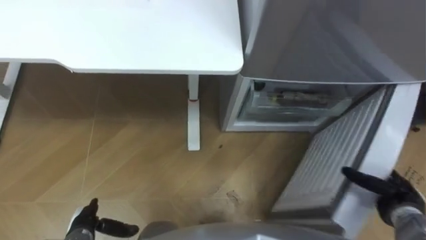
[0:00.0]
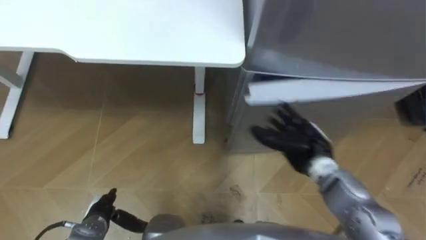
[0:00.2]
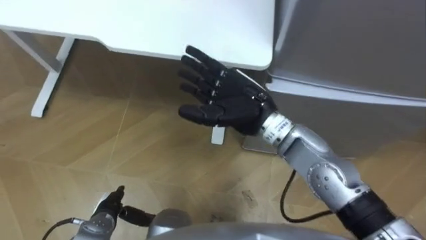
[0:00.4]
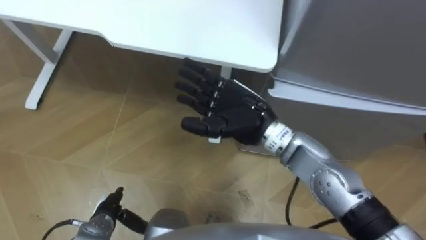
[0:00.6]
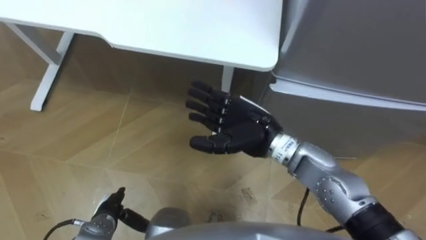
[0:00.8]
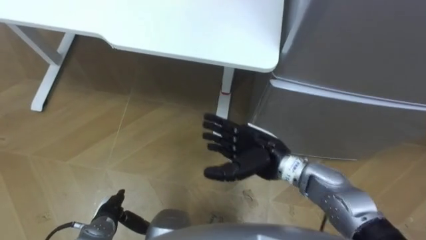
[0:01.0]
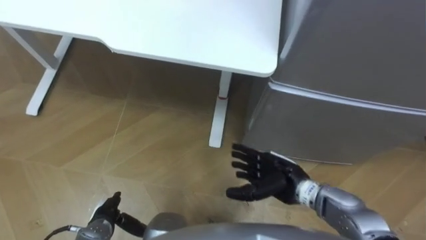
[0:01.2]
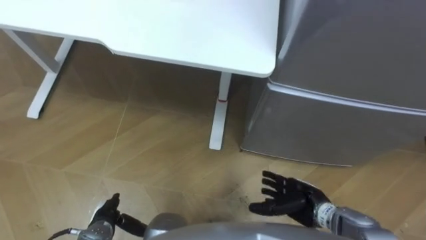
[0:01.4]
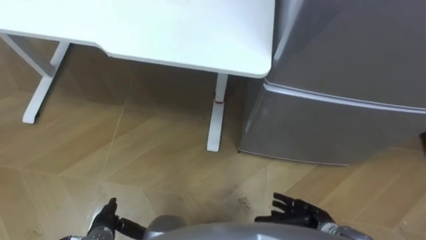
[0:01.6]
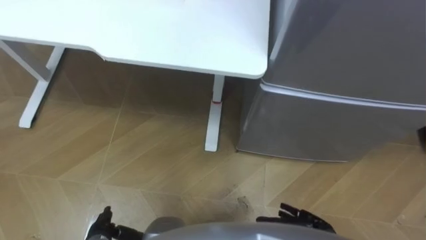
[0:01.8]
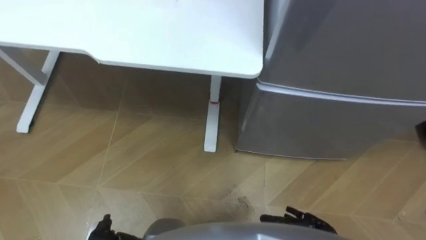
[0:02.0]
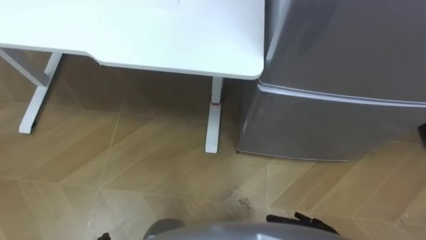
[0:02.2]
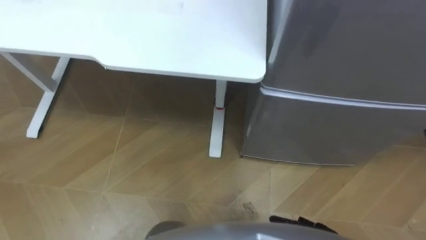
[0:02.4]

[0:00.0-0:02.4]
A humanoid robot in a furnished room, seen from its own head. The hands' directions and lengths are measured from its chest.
Task of the whole recording: Place the drink on the table on the bottom shelf of the refrigerator, then close the drawer and the refrigerator door.
0:00.0 to 0:01.2: The left hand changes place by roughly 5 cm; the right hand moves to the left, approximately 25 cm.

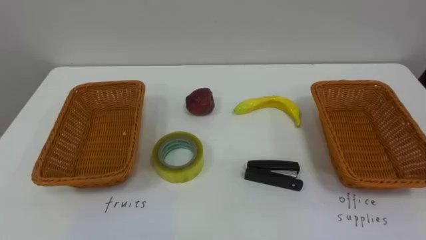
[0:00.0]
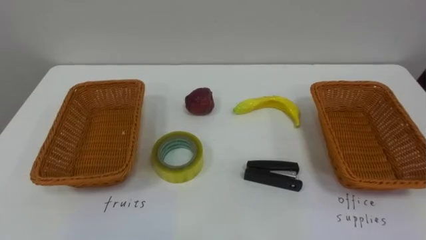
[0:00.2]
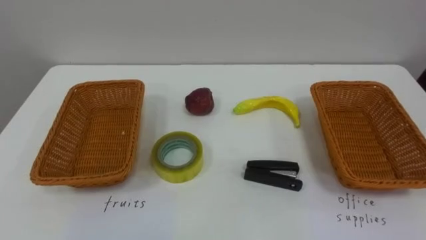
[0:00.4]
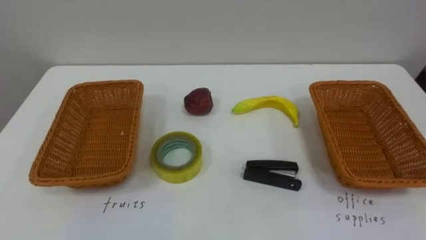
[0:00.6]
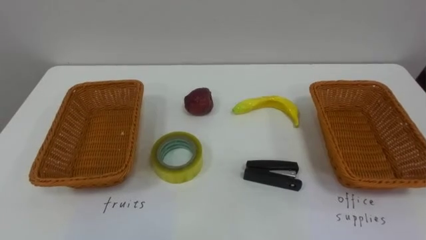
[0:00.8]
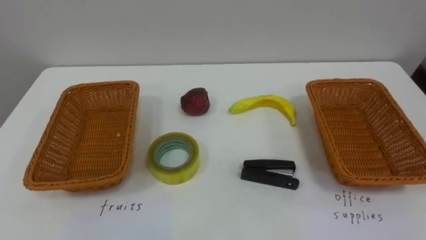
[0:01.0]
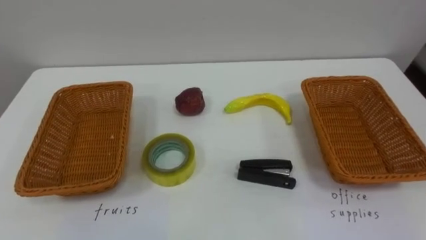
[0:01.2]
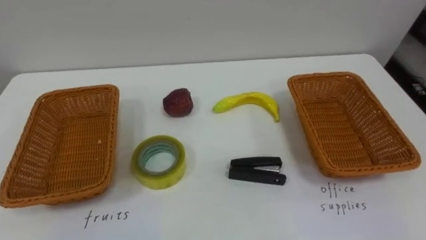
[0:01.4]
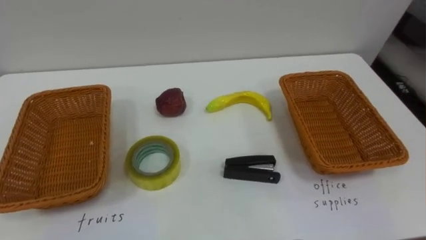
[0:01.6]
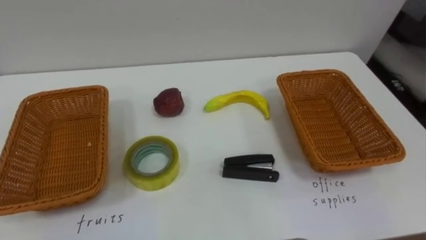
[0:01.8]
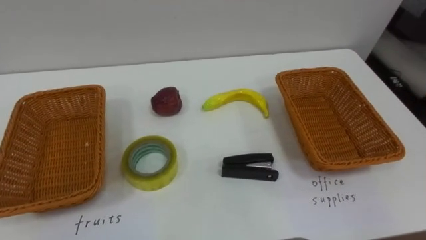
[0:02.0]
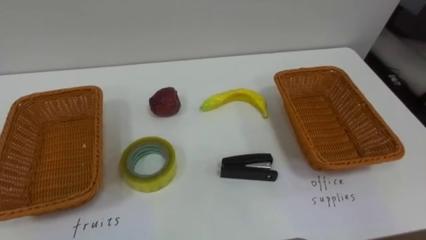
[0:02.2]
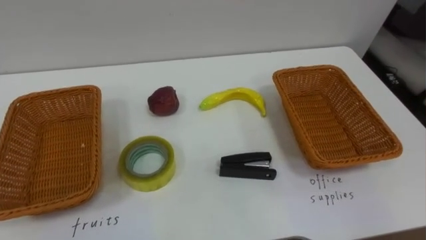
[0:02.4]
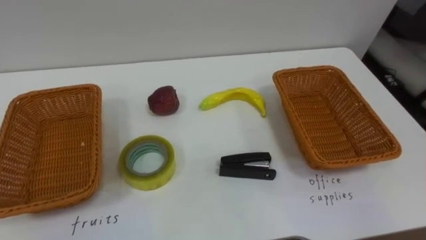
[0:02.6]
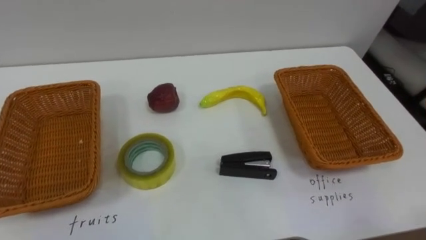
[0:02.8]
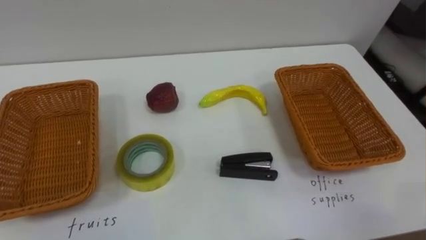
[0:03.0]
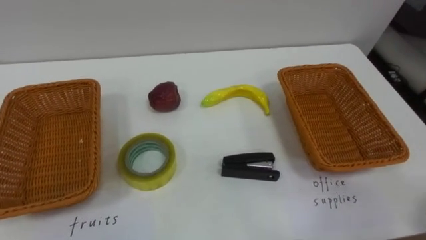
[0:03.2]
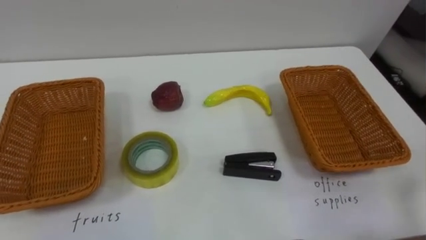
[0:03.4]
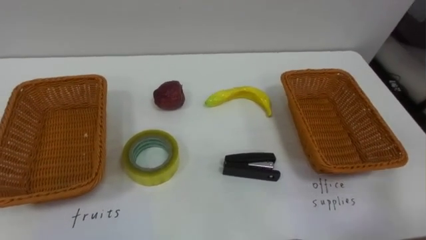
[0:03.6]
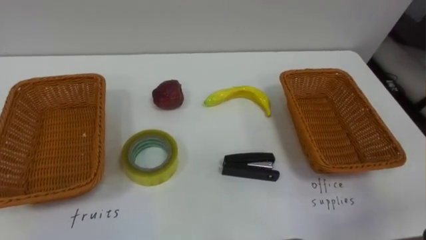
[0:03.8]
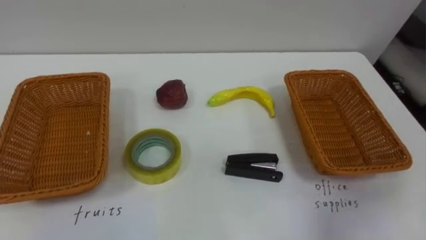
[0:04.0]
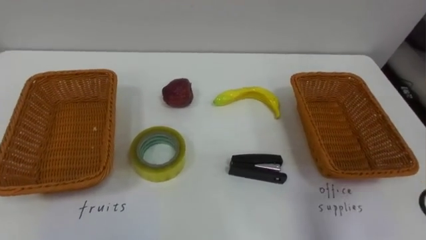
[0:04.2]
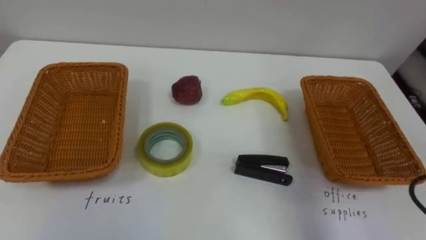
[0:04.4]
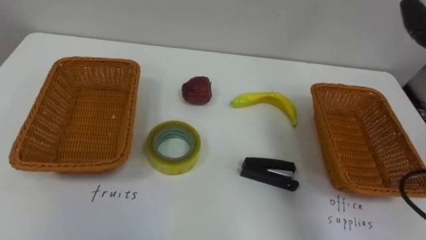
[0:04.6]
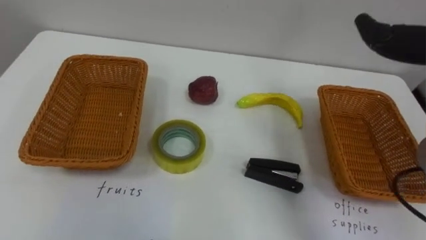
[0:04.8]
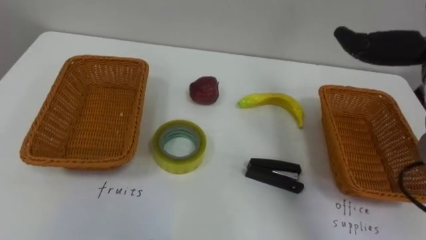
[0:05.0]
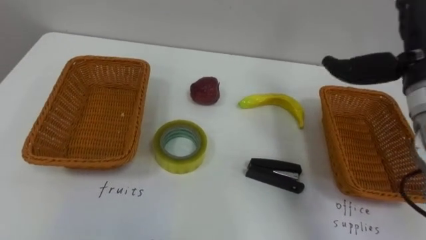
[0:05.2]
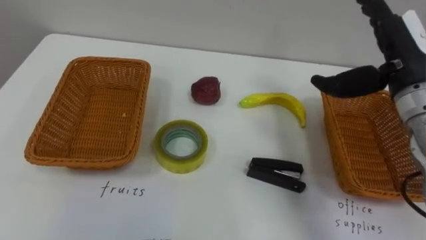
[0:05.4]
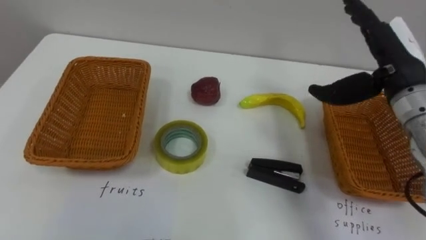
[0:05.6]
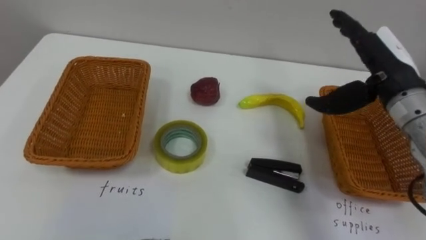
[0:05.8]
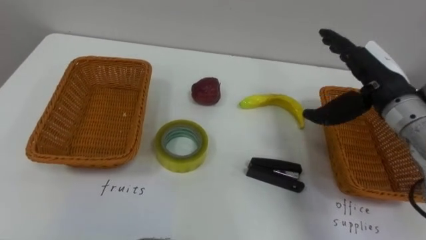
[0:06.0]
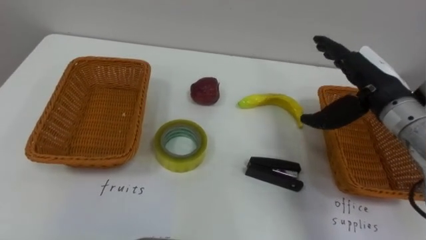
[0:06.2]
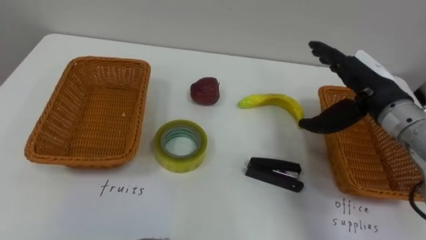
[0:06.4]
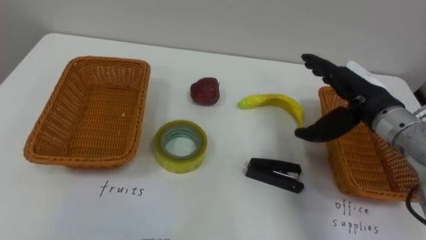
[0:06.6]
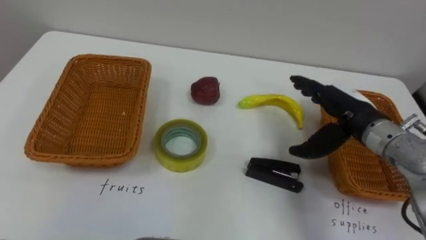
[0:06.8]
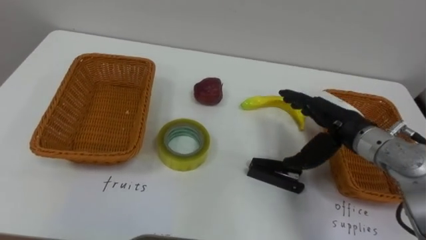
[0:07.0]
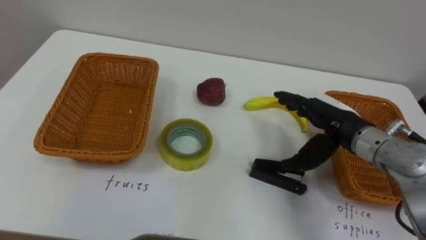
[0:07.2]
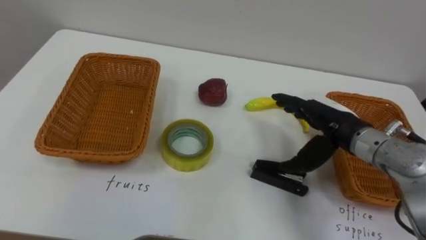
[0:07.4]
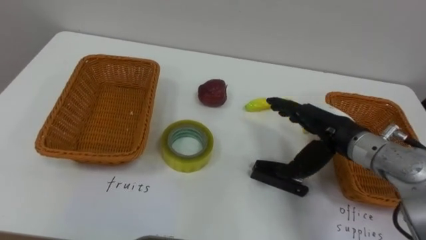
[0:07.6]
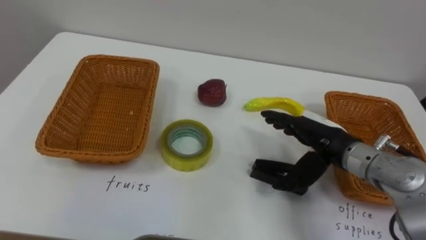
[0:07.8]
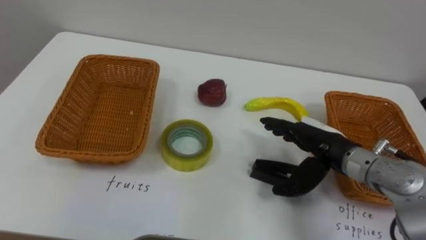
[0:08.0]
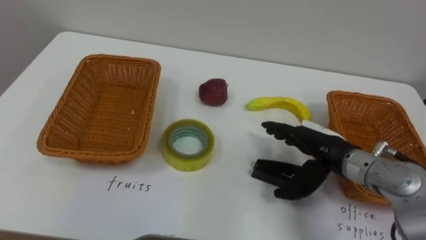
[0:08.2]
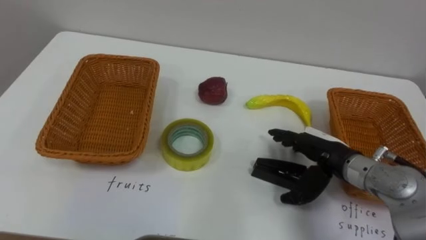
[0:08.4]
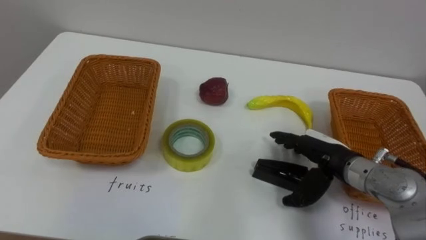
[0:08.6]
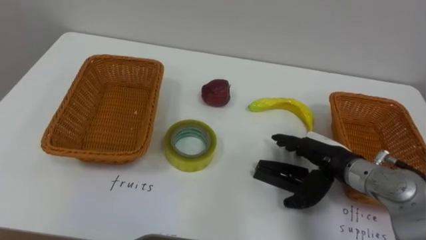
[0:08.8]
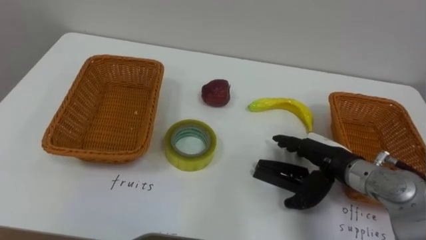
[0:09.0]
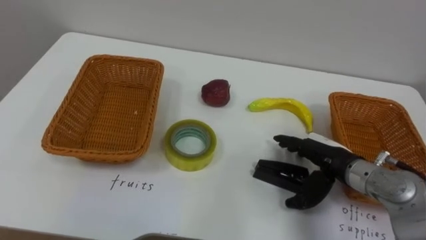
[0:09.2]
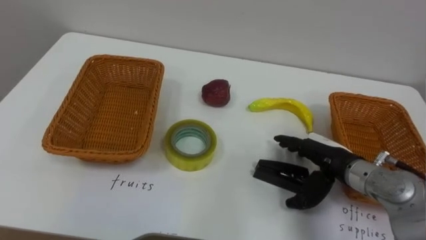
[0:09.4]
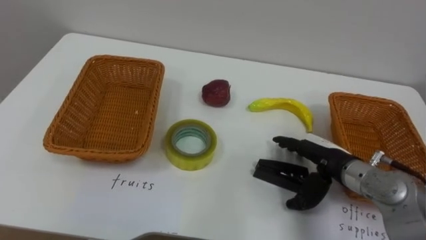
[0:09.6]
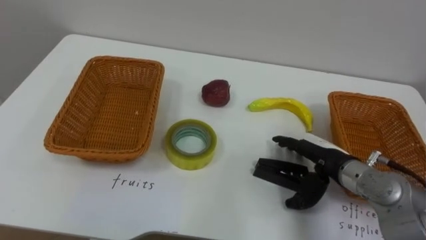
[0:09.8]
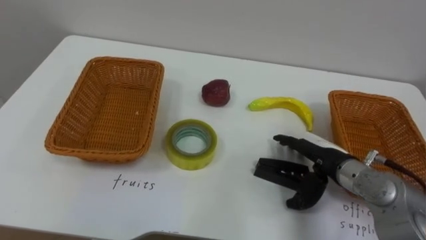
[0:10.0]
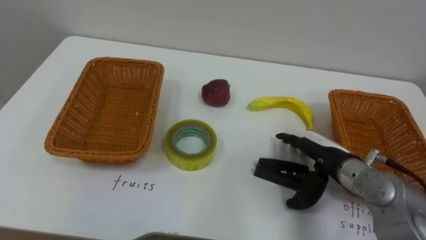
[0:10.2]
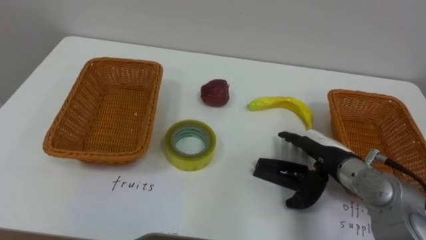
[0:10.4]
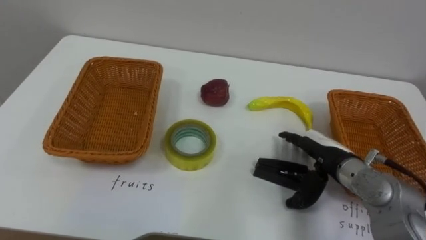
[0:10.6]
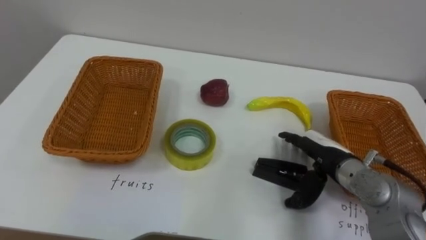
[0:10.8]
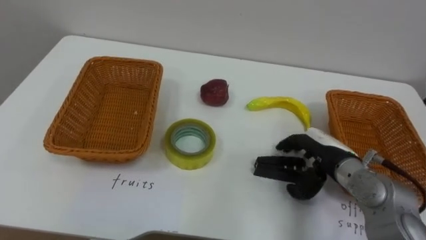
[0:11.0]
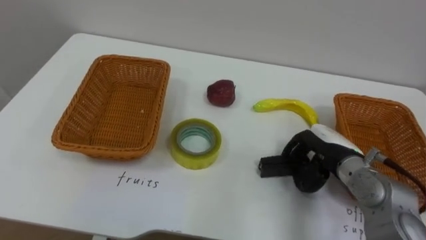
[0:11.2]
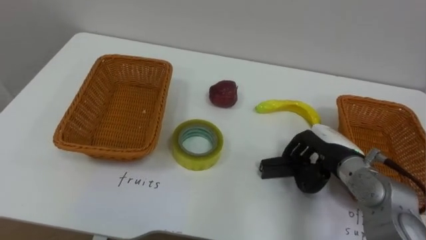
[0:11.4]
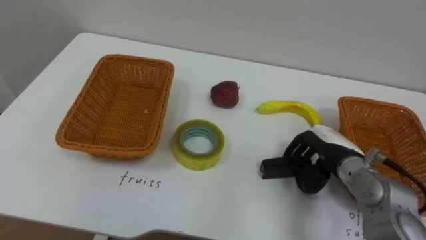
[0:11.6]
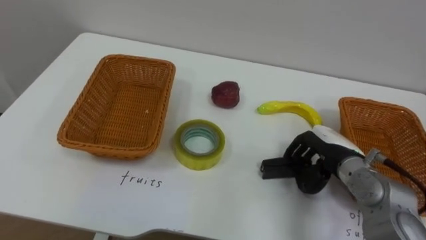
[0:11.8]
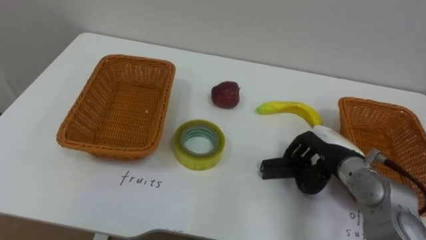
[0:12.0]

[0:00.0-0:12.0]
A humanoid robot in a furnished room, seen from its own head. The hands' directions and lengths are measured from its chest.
Task of the whole recording: Separate the items on the table and place them into the two baskets.
0:06.0 to 0:07.6: The right hand shifts roughly 10 cm downward and to the left.
0:07.6 to 0:09.0: The right hand shifts approximately 5 cm downward.
0:10.4 to 0:12.0: The right hand closes its fingers.

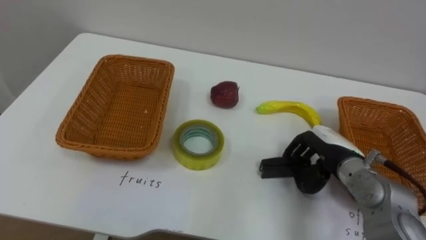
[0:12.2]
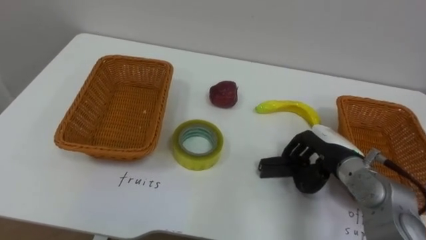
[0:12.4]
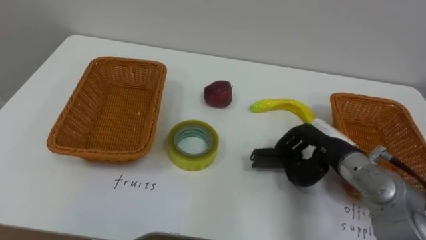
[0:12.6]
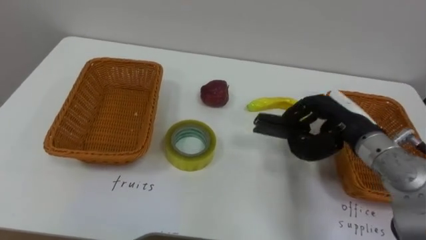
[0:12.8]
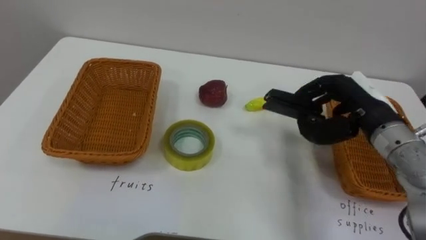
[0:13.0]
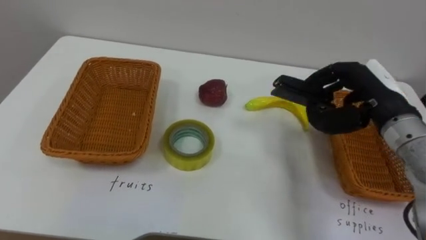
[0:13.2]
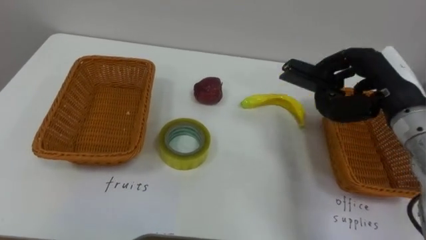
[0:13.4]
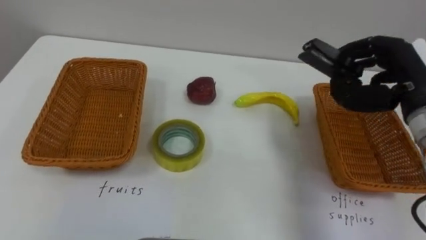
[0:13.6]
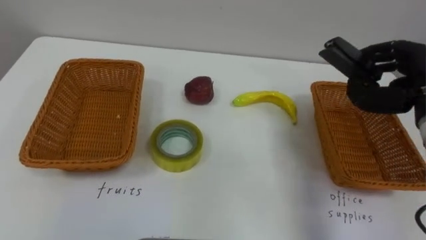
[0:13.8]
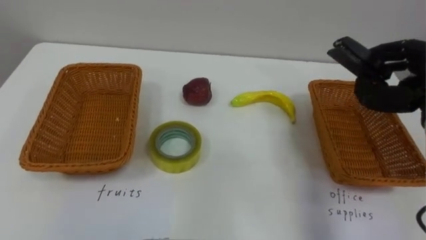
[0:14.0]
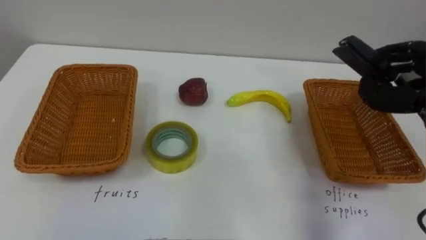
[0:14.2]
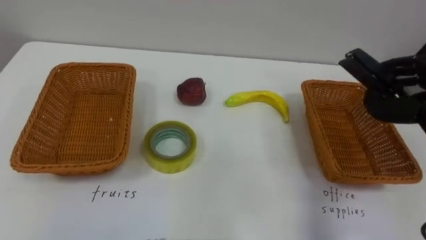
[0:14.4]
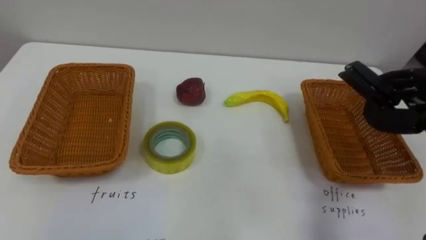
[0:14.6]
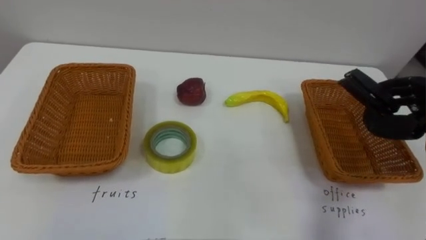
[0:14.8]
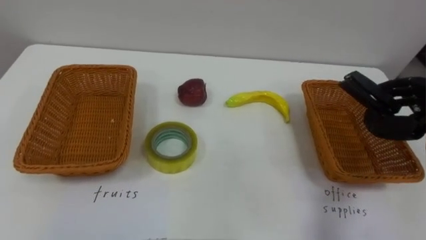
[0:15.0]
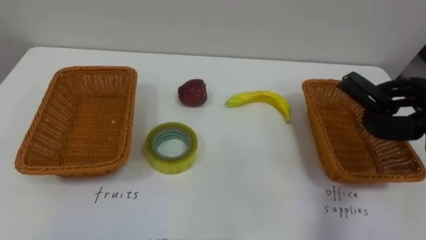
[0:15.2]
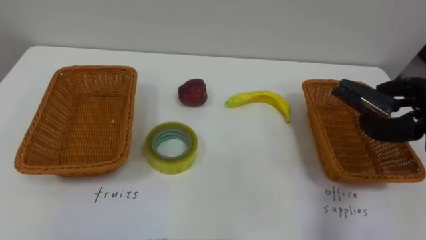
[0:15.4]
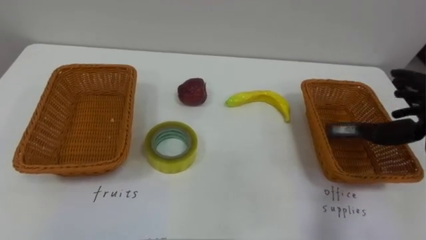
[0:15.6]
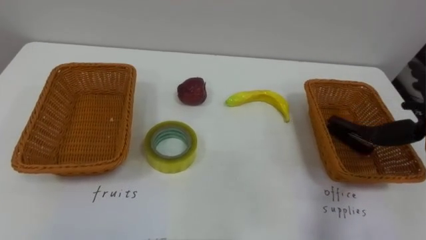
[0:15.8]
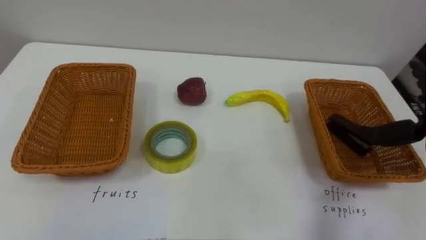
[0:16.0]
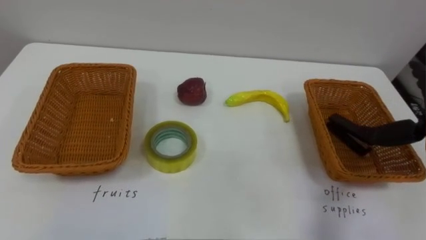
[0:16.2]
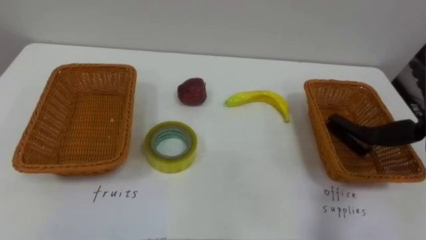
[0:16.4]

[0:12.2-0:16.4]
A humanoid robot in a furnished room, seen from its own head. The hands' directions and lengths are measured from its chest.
Task of the whole recording: Separate the items on the table and place them into the two baskets.
0:12.2 to 0:13.6: The right hand shifts some 15 cm upward and to the right.
